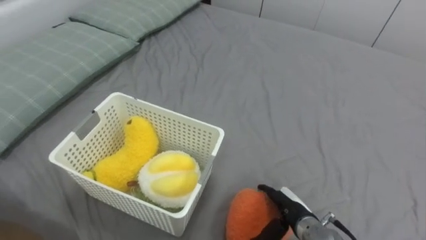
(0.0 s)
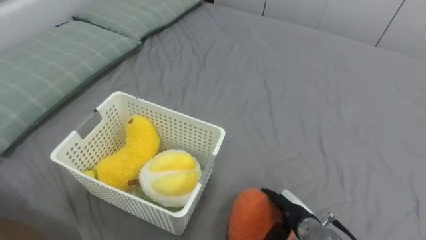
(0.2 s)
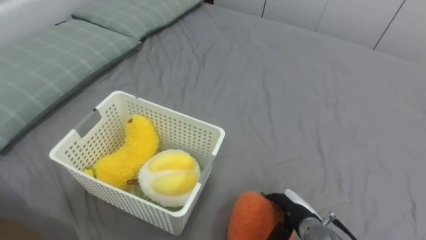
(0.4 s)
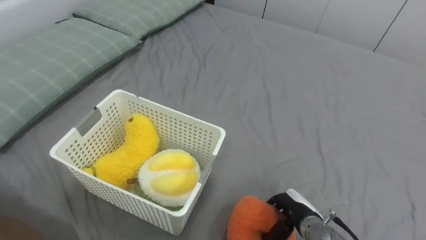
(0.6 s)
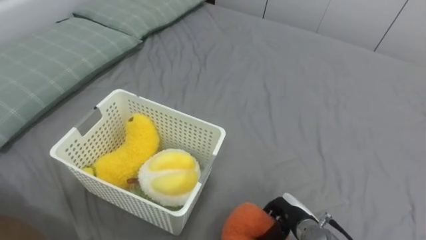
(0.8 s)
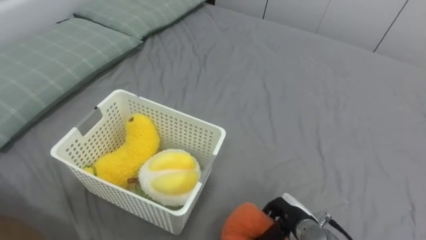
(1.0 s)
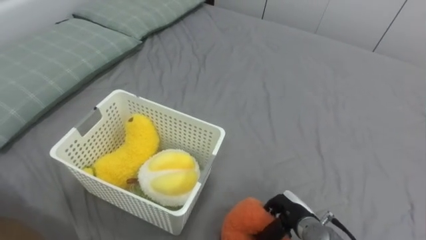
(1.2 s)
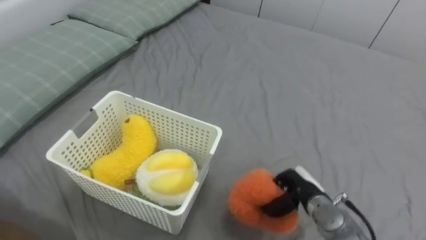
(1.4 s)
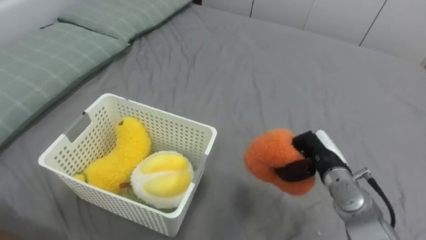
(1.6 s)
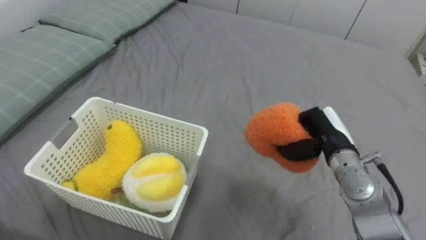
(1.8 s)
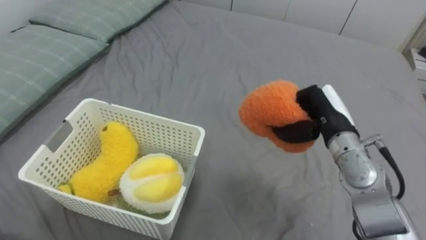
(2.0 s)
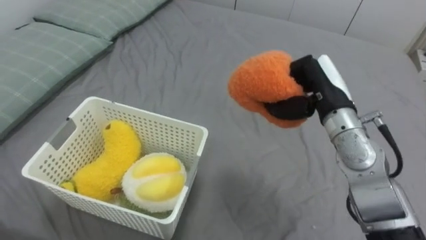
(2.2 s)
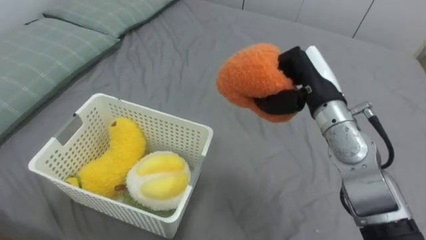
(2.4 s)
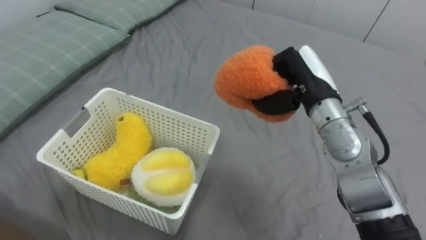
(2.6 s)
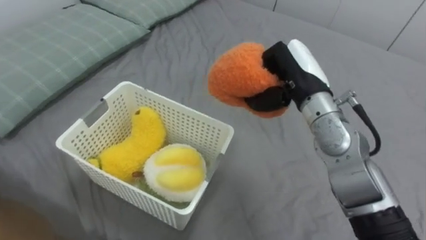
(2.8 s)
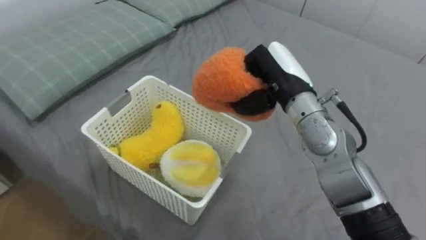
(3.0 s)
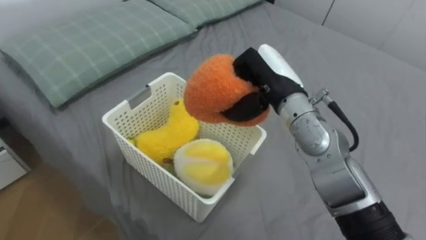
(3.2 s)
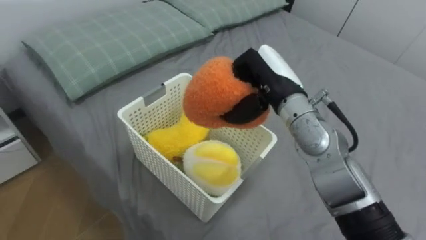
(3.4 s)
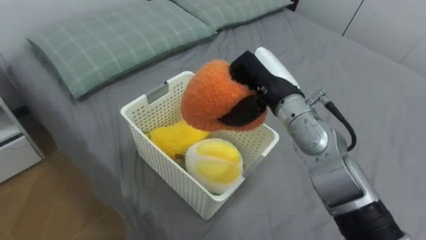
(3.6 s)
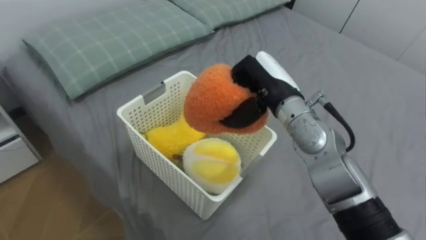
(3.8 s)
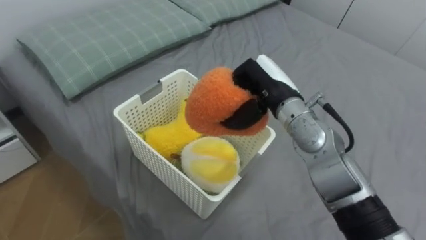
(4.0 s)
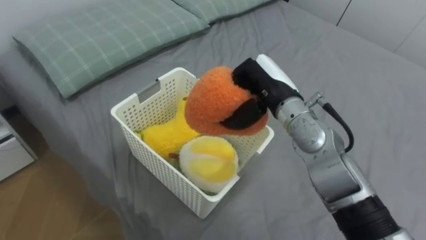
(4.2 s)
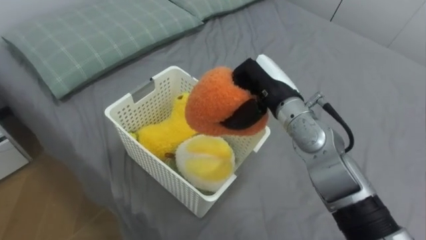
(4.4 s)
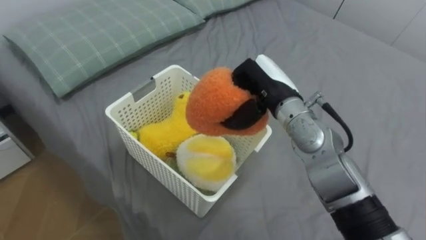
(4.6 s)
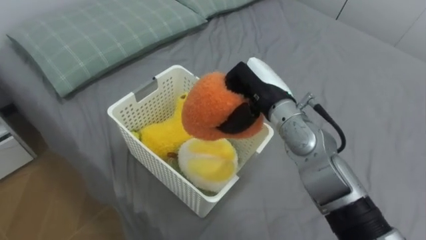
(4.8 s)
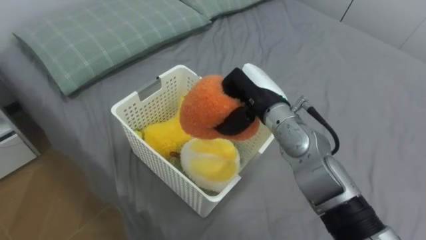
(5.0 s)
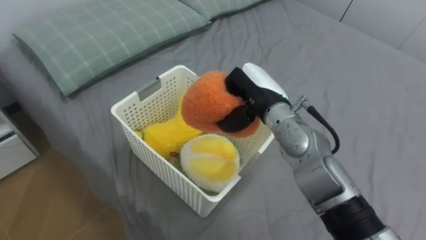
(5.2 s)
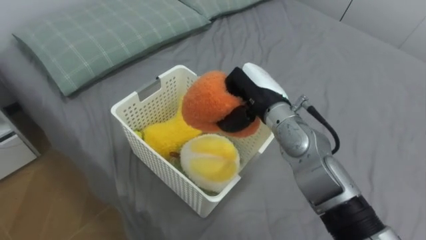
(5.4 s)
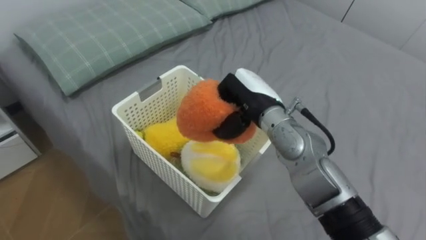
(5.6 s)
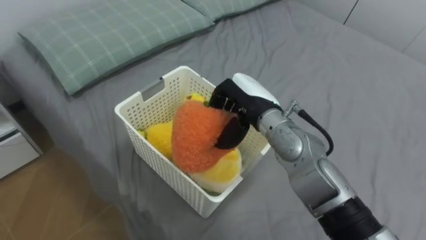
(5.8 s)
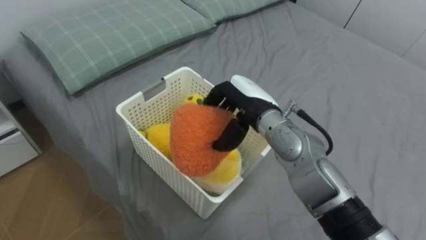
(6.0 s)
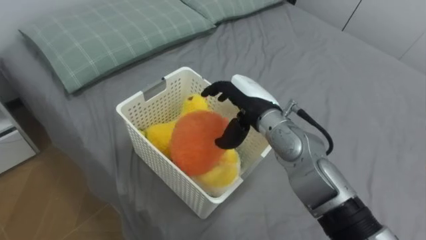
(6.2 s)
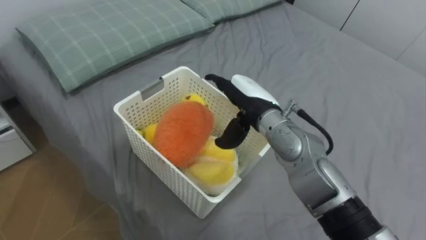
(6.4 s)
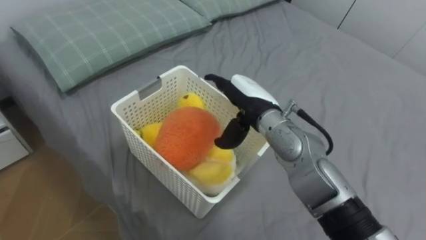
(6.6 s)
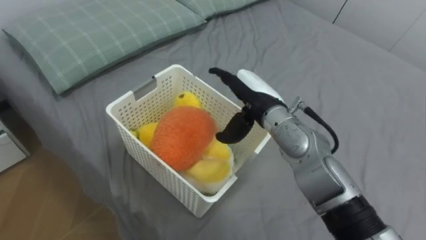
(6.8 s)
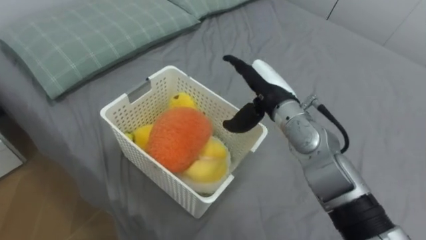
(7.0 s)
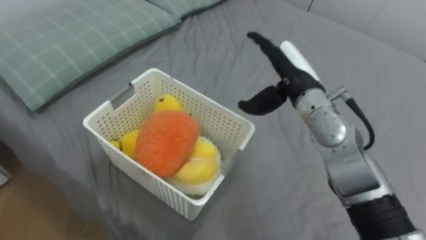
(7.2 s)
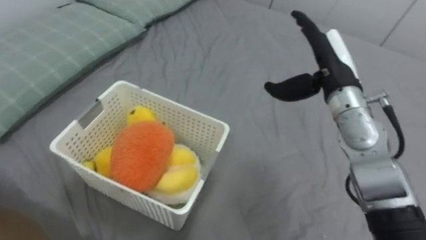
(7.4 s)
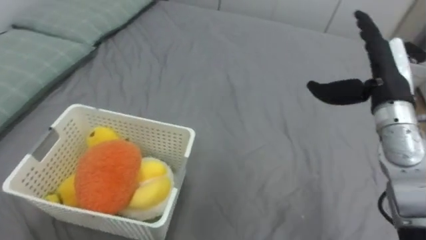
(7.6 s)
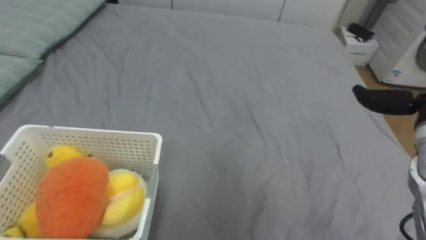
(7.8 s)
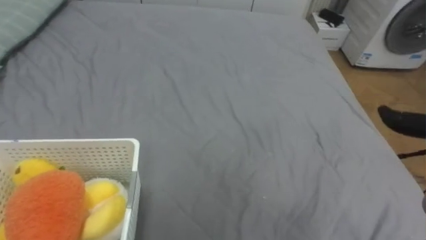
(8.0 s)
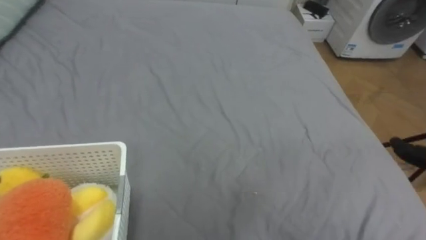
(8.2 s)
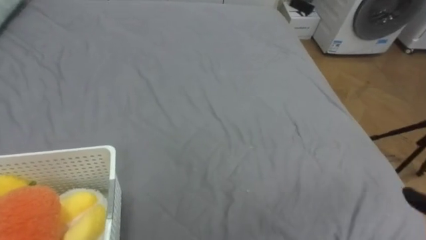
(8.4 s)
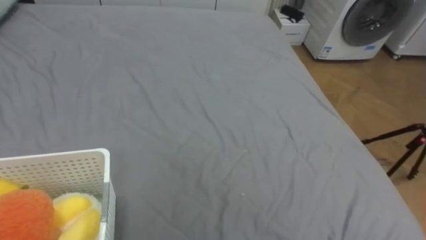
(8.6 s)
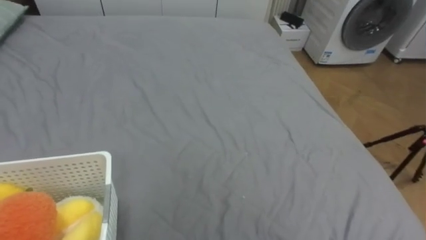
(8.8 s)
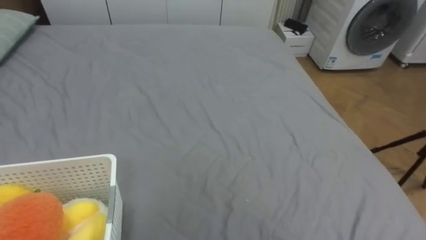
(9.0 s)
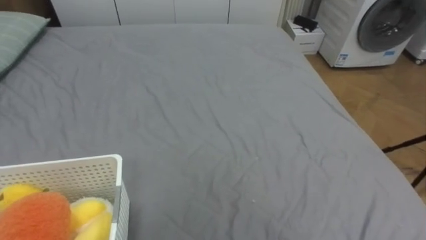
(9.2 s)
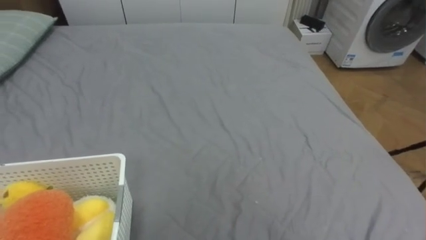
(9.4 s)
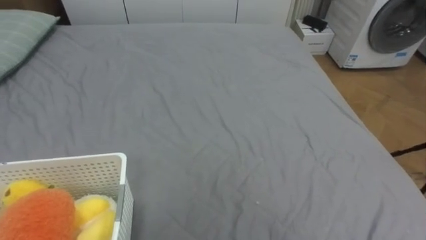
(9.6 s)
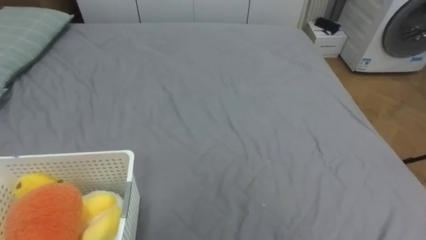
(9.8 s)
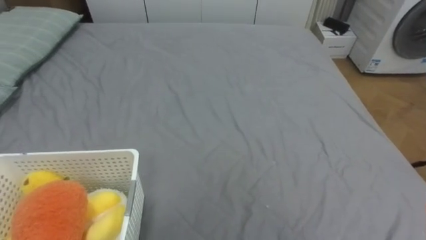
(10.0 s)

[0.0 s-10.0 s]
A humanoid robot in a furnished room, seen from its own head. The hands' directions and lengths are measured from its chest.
Task of the whole recording: Put the toys on the bed into the basket on the left.
0.0 to 1.4 s: The right hand closes.
1.4 to 2.8 s: The right hand is displaced upward and forward by roughly 25 cm.
2.8 to 4.2 s: The right hand shifts by roughly 5 cm.
4.2 to 5.8 s: The right hand opens up.
5.8 to 7.2 s: The right hand heads to the right, covering about 5 cm, and opens its fingers.

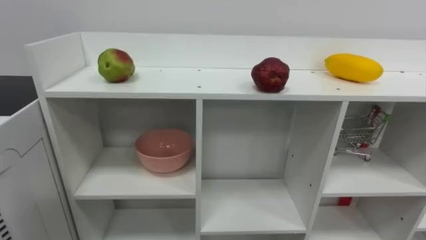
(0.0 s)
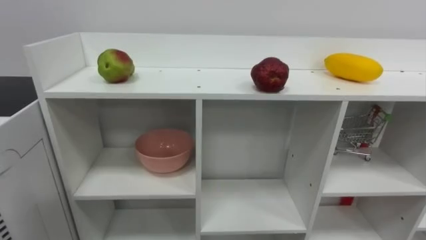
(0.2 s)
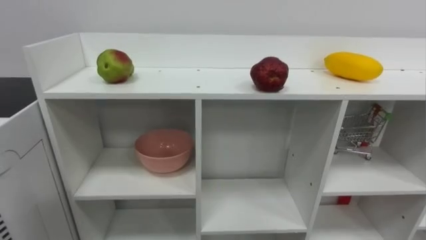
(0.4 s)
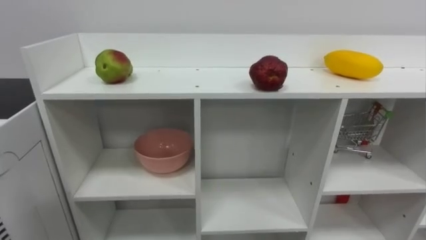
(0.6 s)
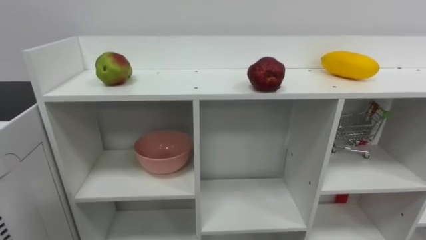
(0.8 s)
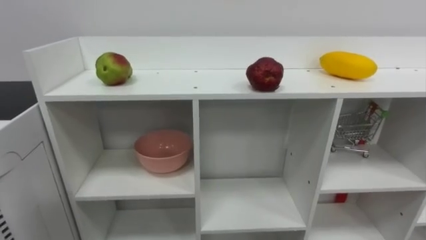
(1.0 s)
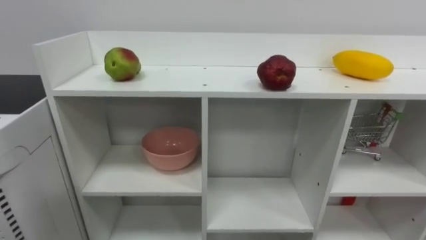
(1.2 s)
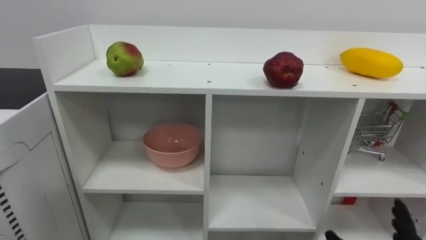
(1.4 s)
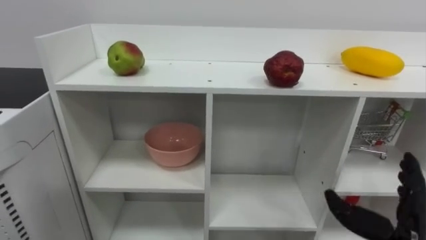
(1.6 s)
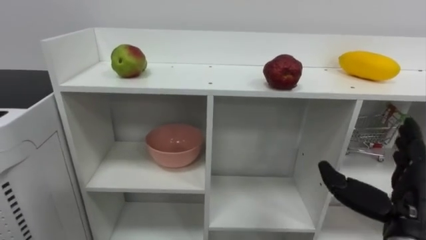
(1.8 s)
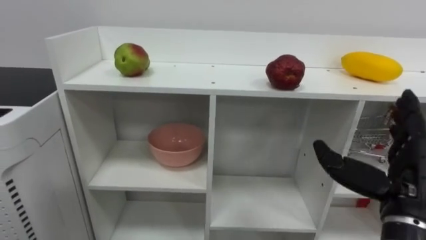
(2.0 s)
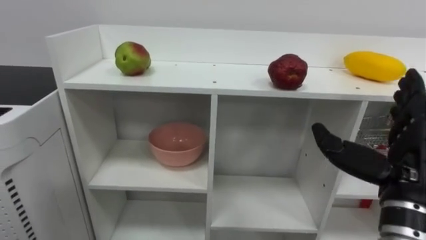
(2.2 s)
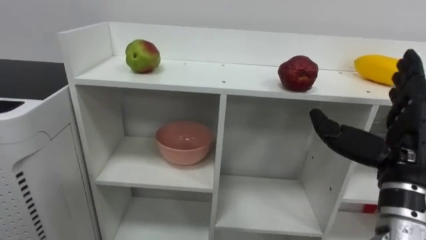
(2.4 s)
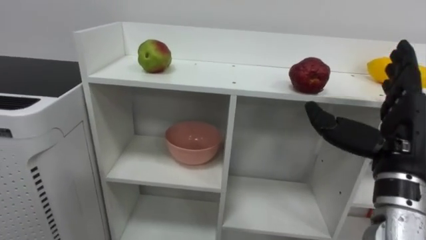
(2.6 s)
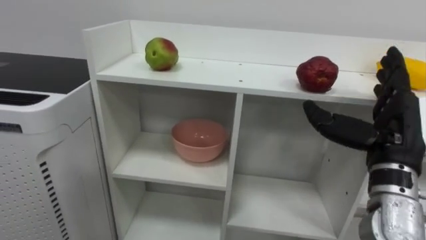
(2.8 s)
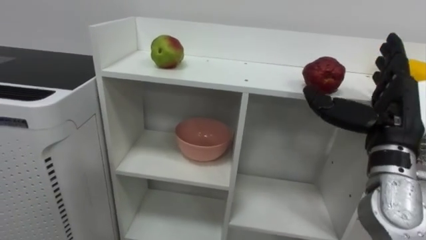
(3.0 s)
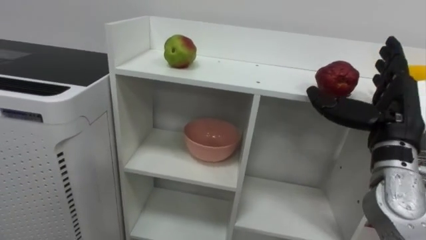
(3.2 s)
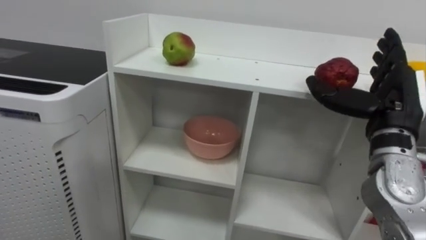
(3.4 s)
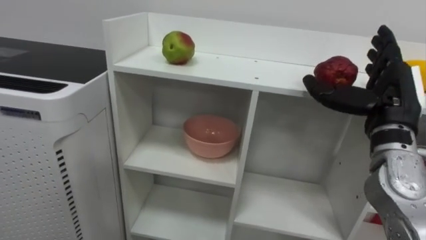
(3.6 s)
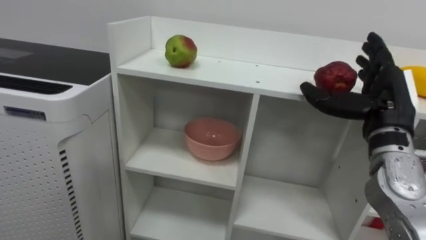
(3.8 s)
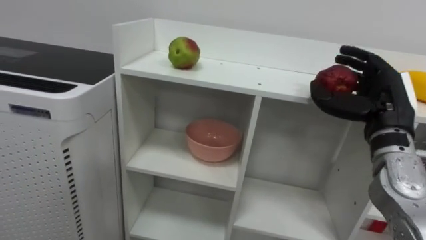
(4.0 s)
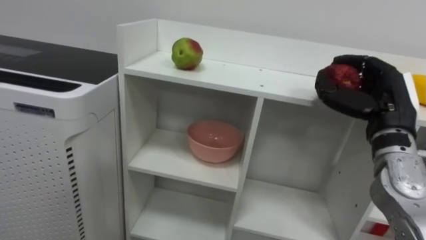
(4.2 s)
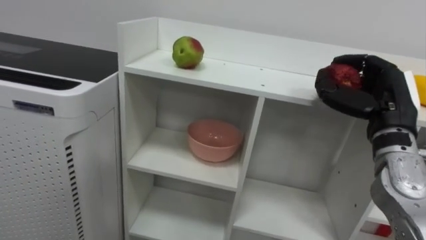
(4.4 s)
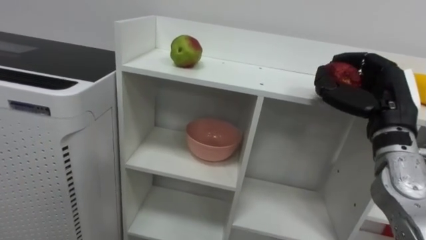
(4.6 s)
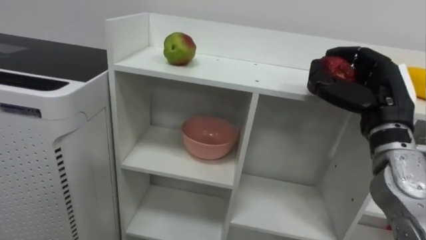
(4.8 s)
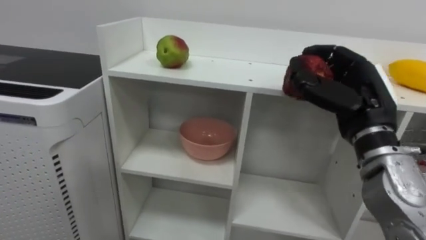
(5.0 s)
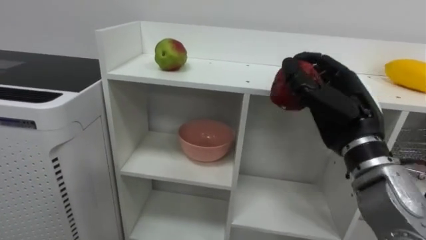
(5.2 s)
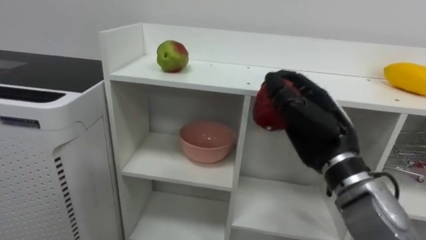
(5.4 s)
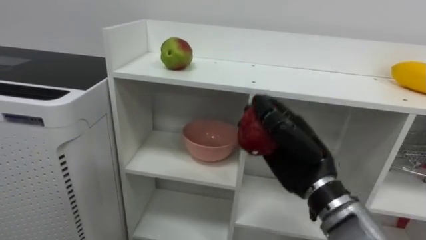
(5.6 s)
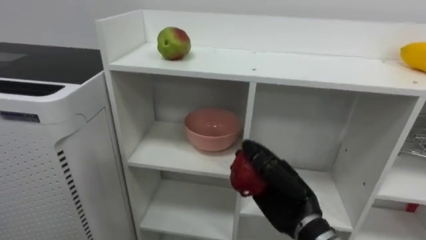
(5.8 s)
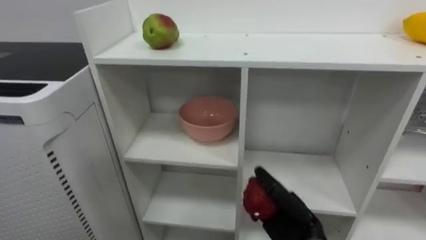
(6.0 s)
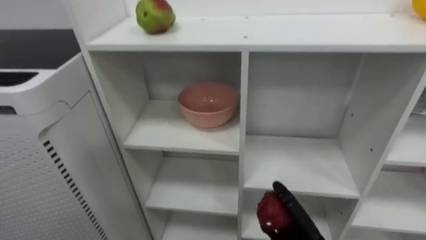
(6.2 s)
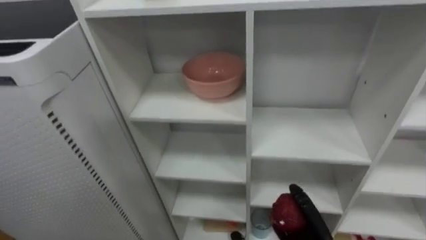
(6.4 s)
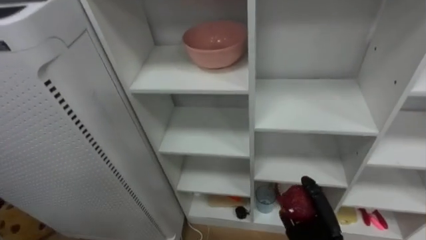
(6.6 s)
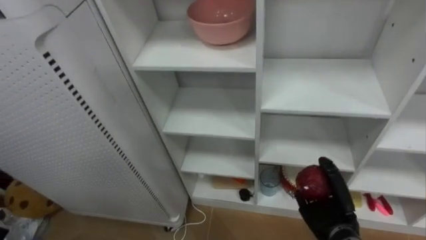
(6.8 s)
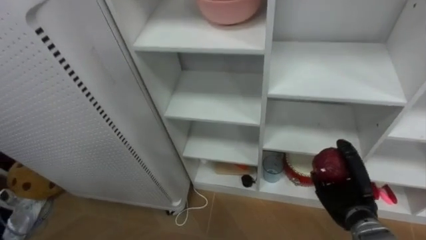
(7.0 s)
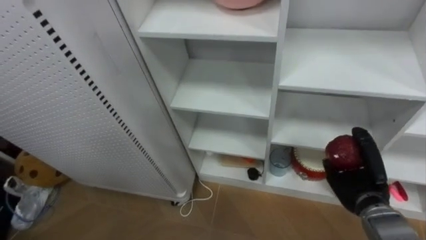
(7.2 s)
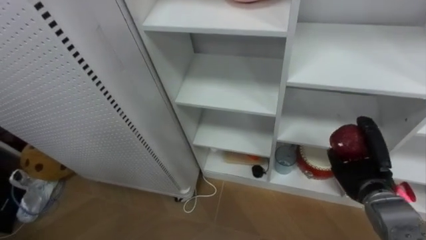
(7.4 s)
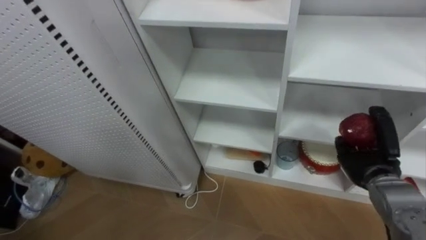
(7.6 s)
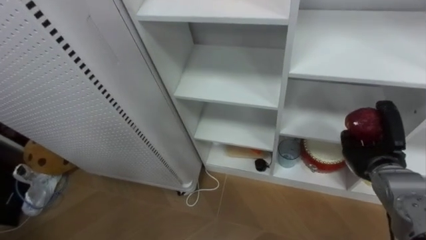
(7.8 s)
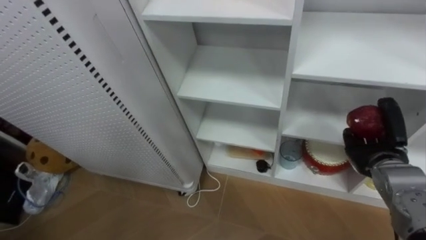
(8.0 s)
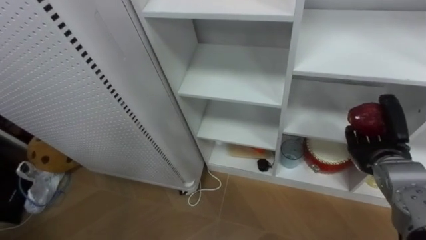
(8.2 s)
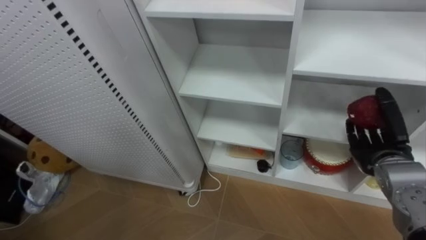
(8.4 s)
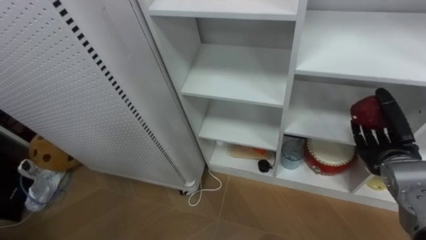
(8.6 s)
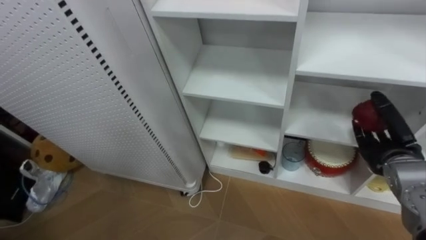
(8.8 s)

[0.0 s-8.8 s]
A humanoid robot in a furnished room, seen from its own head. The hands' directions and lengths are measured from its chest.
Task of the whole recording: Put the apple in the cell in the second column from the left and the second row from the top.
3.0 to 4.4 s: The right hand closes.
4.4 to 5.8 s: The right hand moves to the left and downward, some 20 cm.
7.4 to 8.8 s: The right hand travels upward by approximately 5 cm, and opens up.
